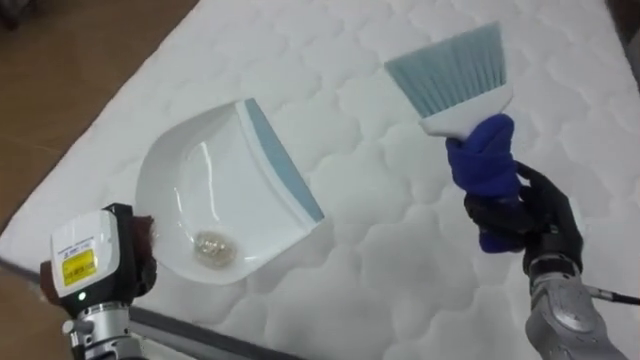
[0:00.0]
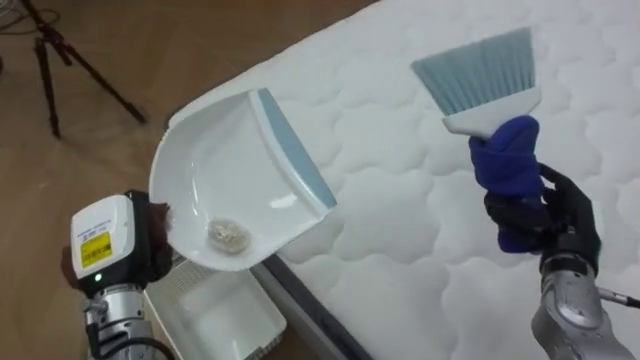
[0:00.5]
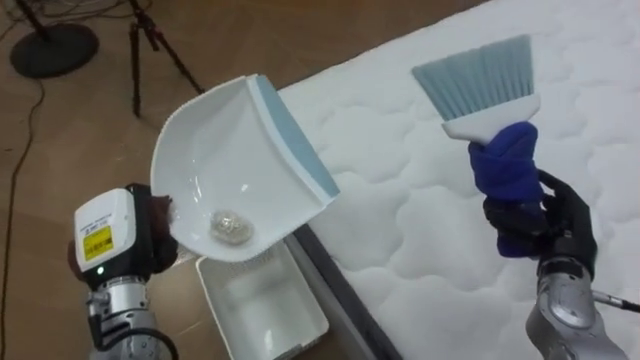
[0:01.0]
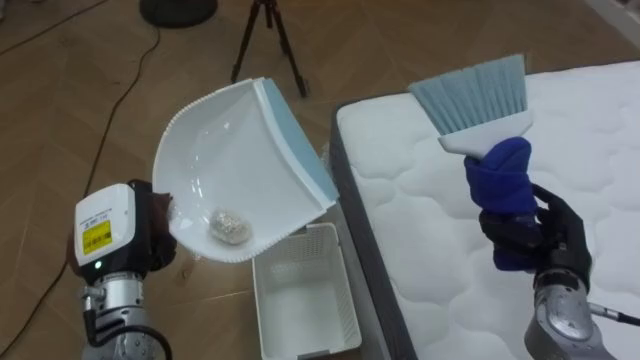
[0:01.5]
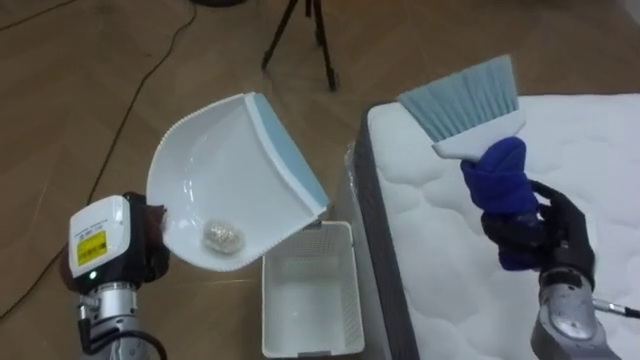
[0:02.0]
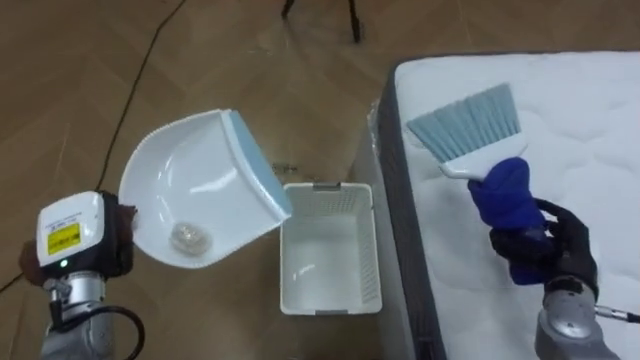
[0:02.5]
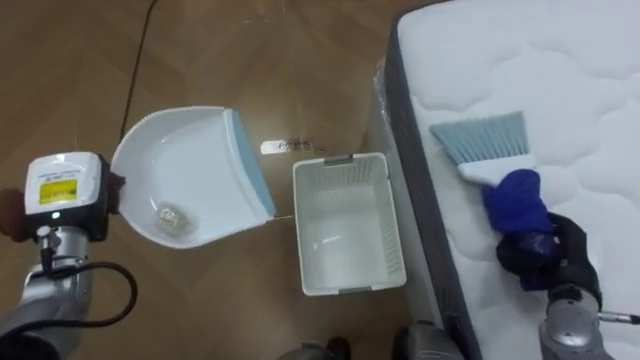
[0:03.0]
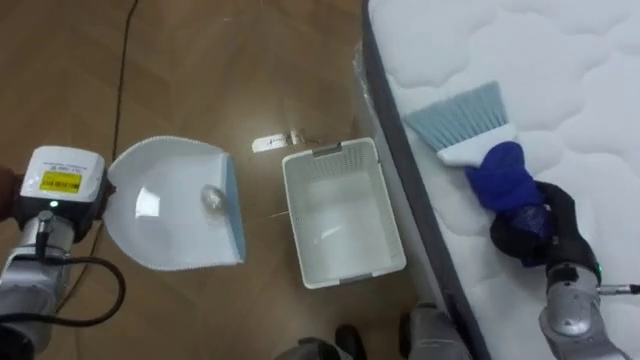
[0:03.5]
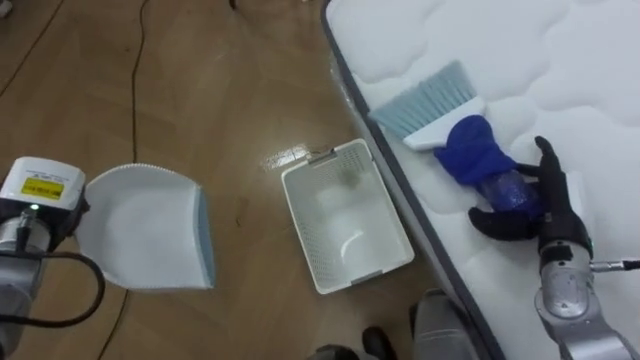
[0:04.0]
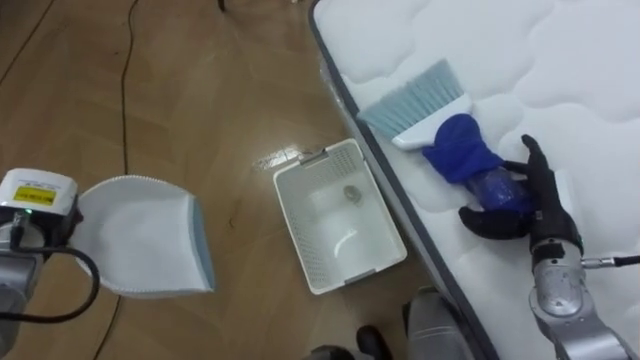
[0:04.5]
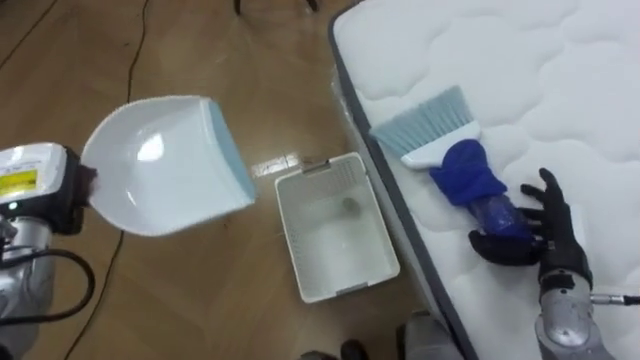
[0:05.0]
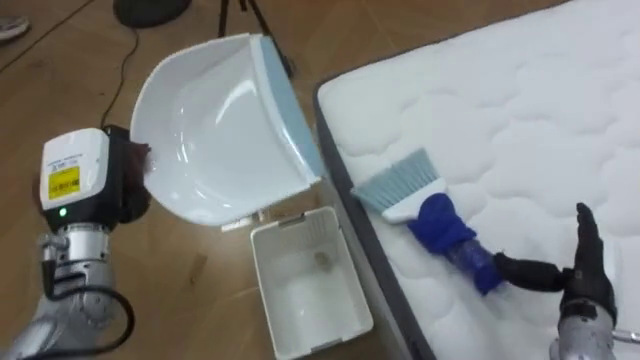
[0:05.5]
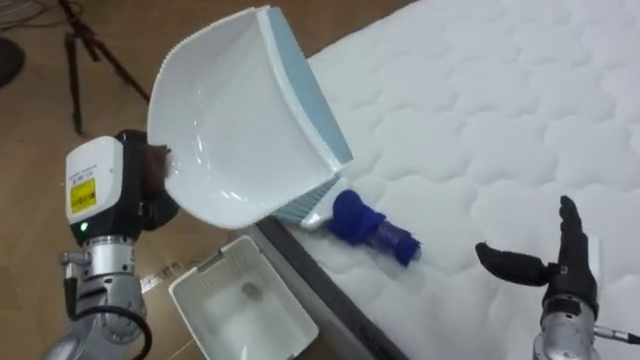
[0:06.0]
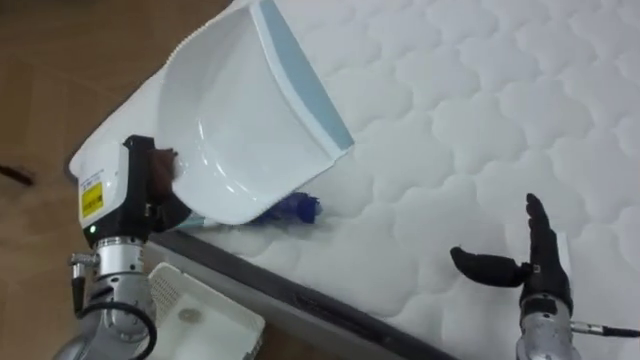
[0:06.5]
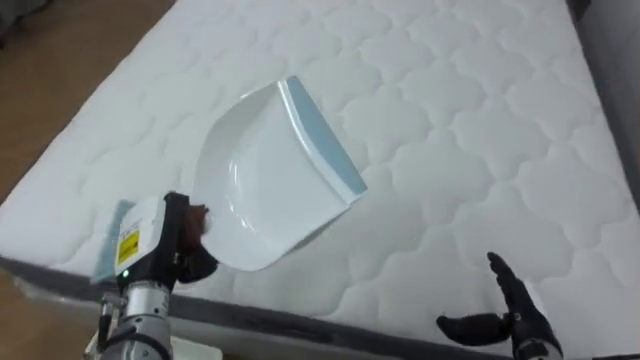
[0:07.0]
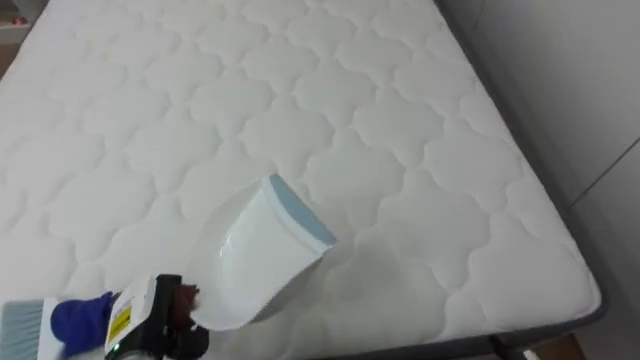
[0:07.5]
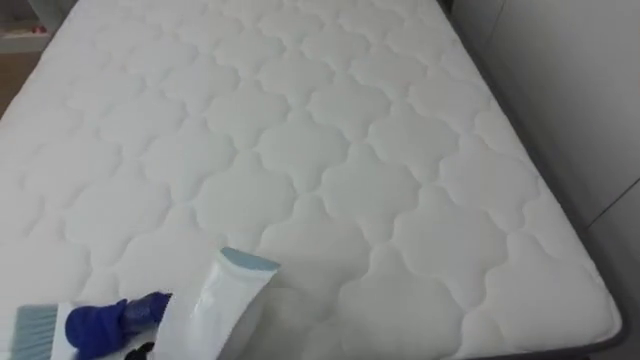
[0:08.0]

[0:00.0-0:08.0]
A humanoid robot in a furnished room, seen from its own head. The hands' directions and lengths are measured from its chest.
Task of the whole recording: Pick up the brush on your right and the dustpan on your left. Use the brush to sweep the crumpled paper on the bed into the dustpan, then turn left and empty it into the basket.
0:00.0 to 0:02.0: The robot turns to its left by approximately 70 degrees.
0:02.0 to 0:04.0: The right hand opens its fingers. The left hand travels to the left and forward by roughly 10 cm.
0:04.0 to 0:06.0: The right hand moves backward, about 5 cm. The left hand goes approximately 10 cm to the right and upward.
0:06.0 to 0:08.0: The robot faces about 50 degrees further to its right.

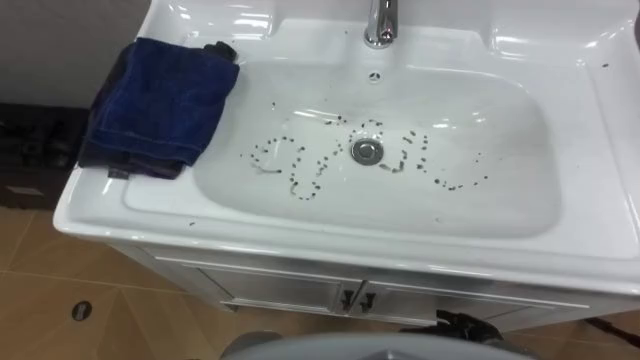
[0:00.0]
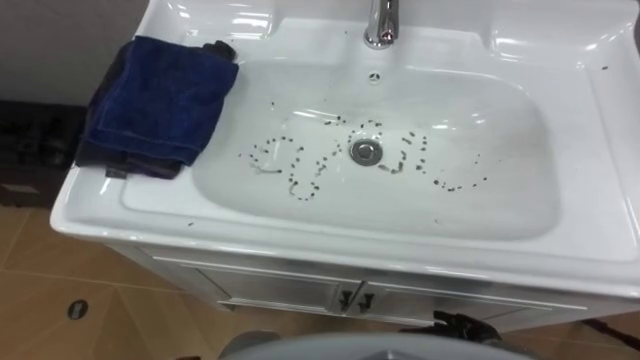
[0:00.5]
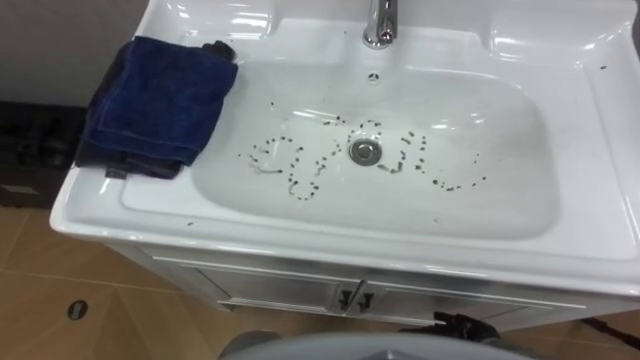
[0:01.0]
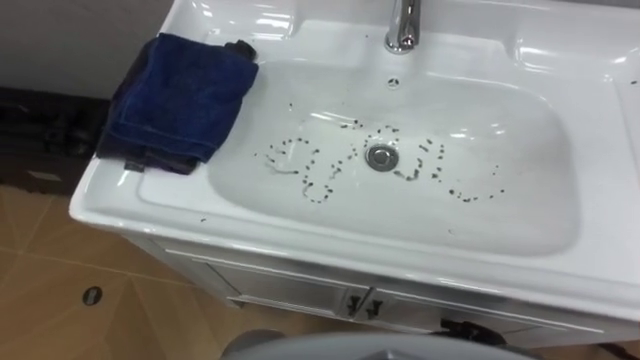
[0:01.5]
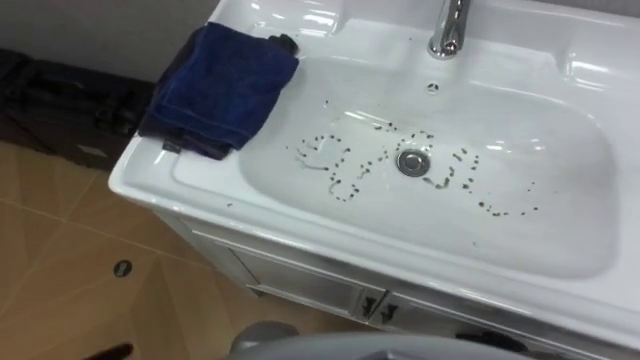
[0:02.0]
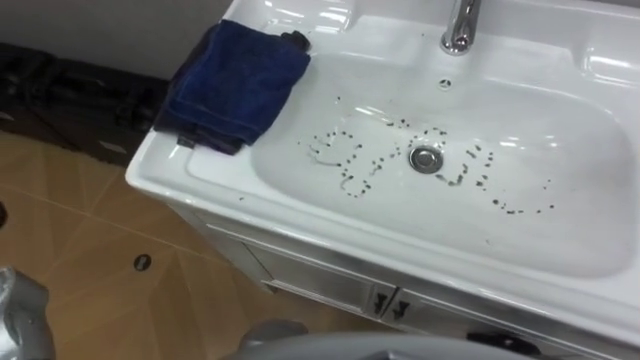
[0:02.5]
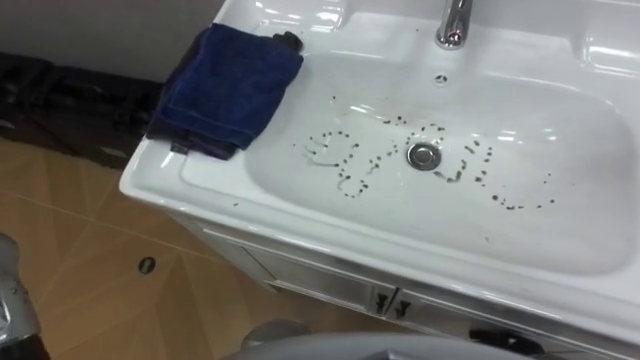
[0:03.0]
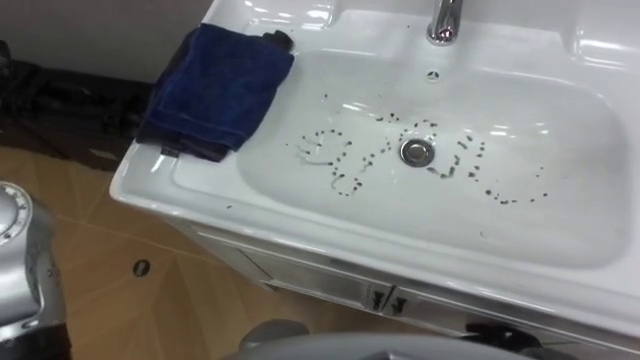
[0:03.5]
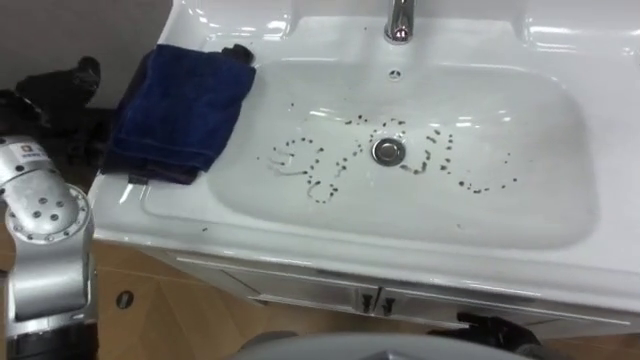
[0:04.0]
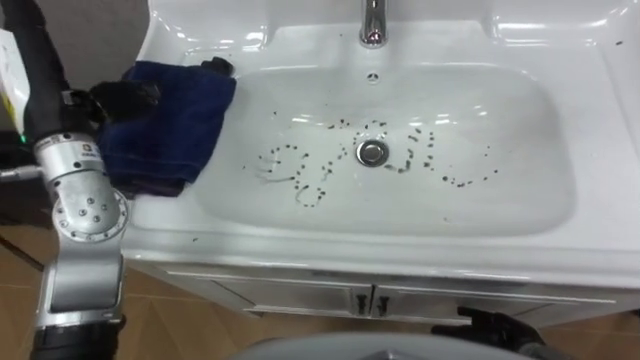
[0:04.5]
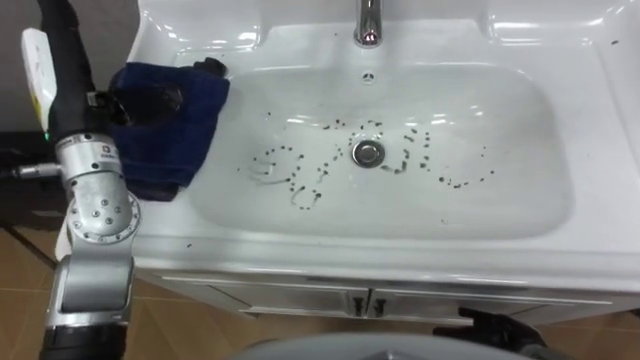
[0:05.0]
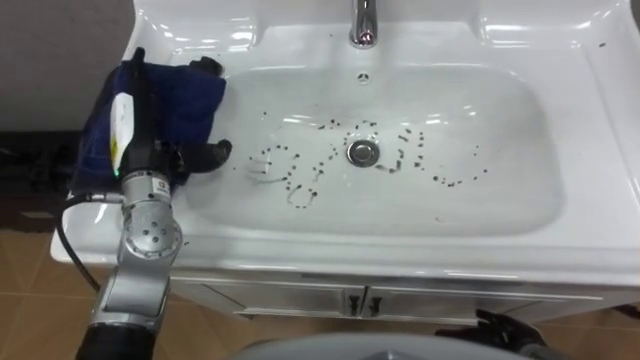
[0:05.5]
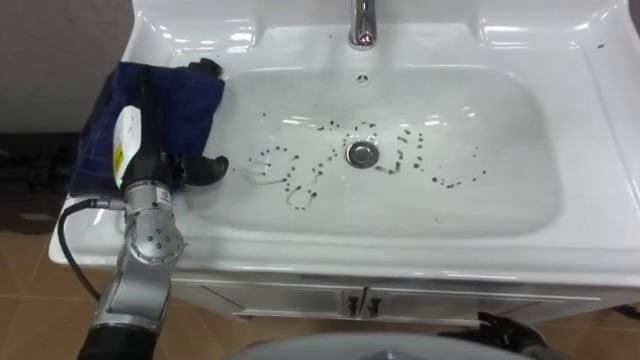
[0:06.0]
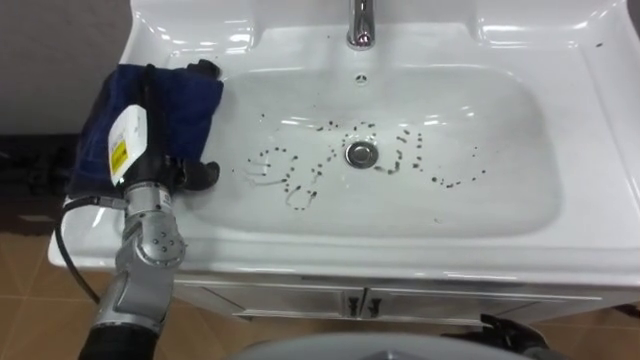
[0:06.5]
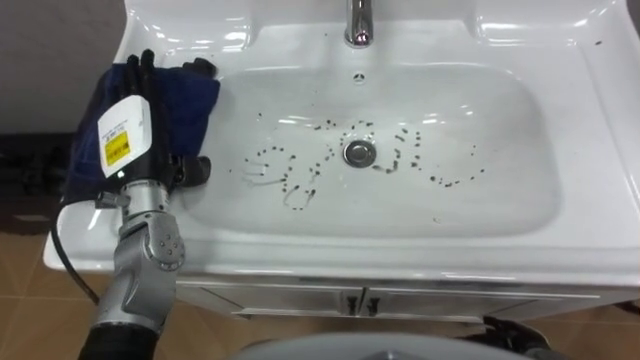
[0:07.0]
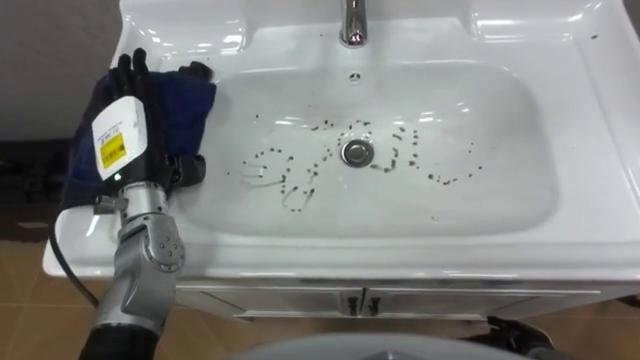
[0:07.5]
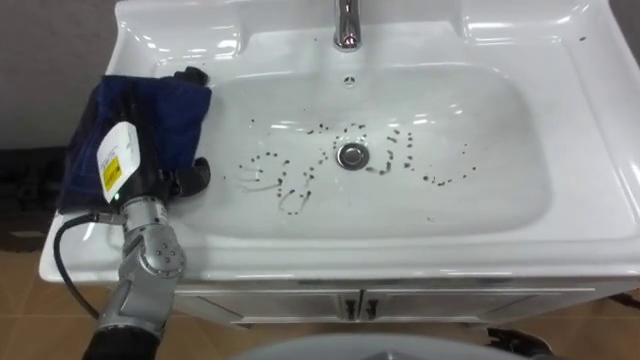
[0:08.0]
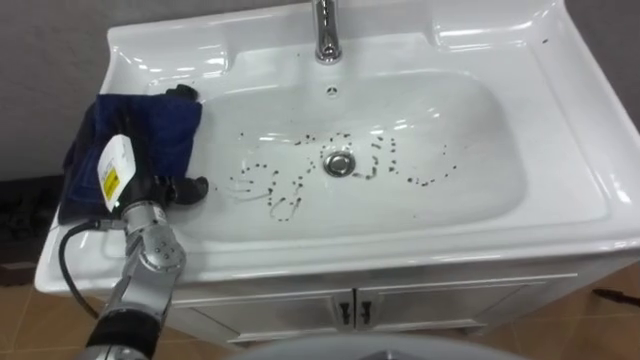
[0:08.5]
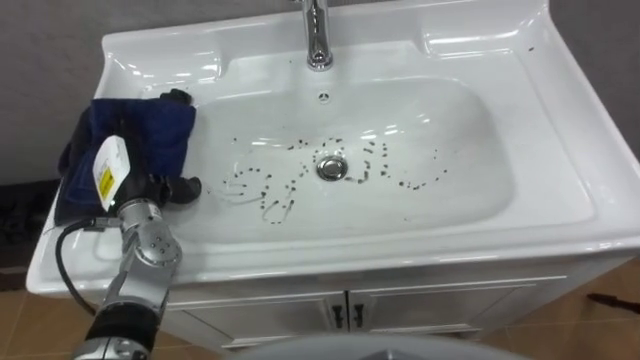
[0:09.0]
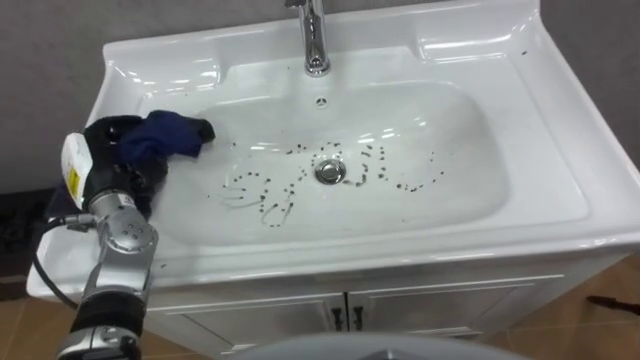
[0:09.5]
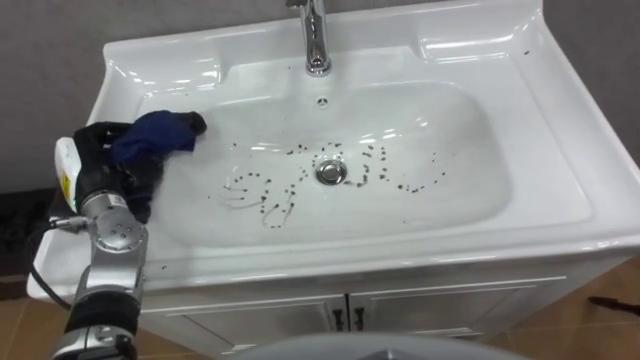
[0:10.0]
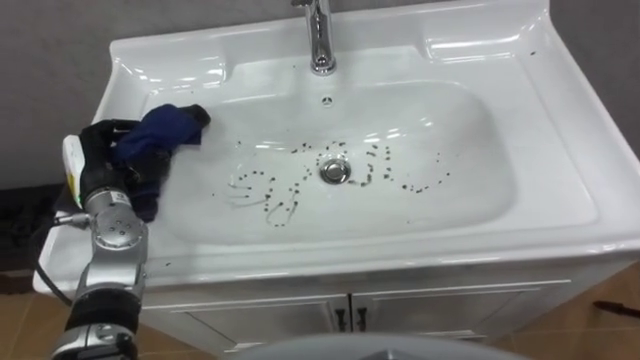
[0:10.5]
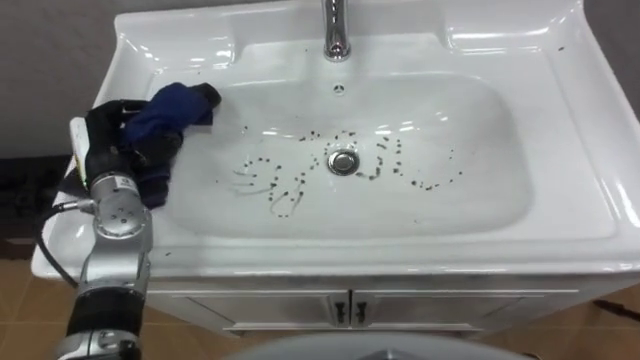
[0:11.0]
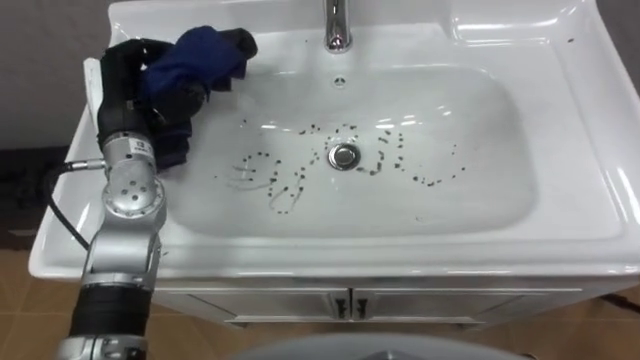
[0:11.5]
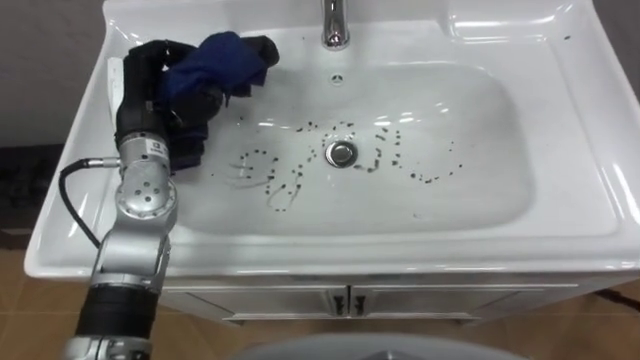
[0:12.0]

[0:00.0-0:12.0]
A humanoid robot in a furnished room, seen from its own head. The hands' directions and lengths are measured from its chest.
Task of the whole recording: Use the cloth on the right to wipe away the black stain in the sink.
0:08.0 to 0:10.0: The left hand heads to the left, covering roughly 5 cm, and closes.
0:10.0 to 0:12.0: The left hand goes approximately 15 cm upward, to the right and forward.
